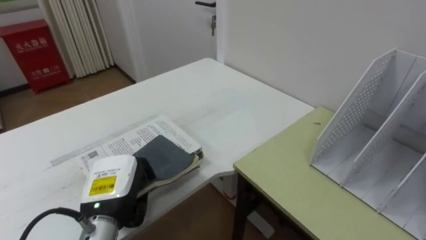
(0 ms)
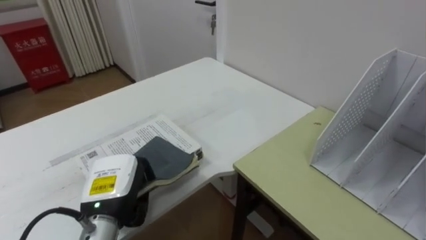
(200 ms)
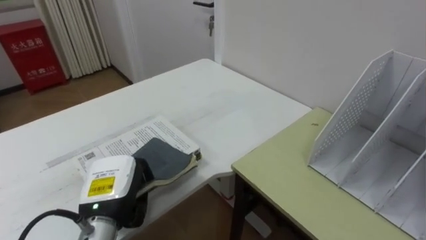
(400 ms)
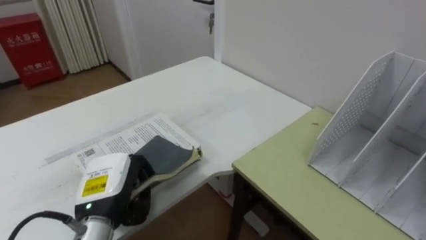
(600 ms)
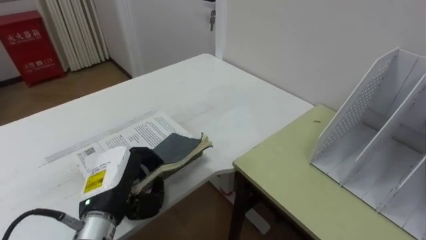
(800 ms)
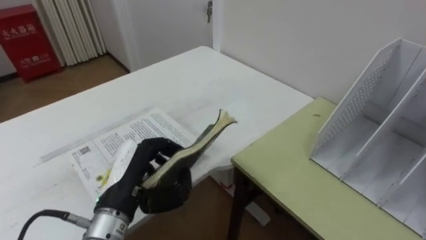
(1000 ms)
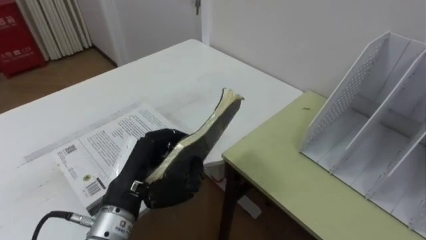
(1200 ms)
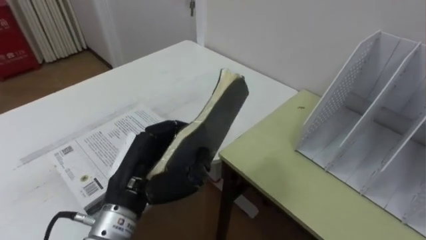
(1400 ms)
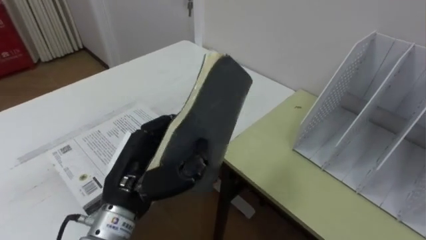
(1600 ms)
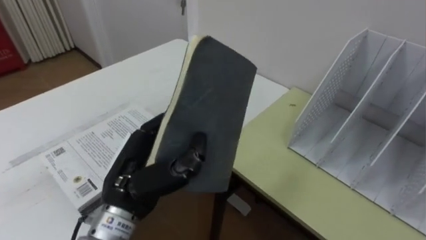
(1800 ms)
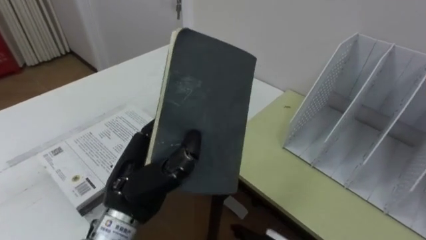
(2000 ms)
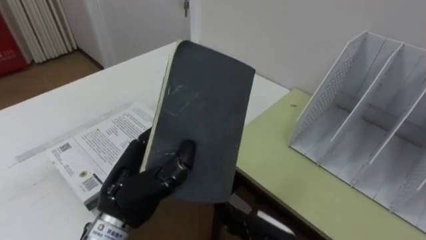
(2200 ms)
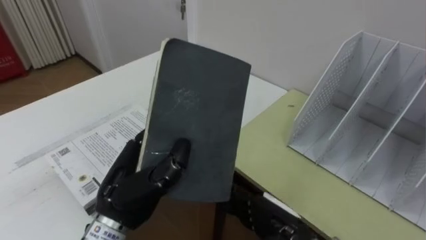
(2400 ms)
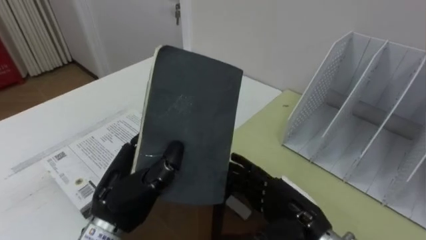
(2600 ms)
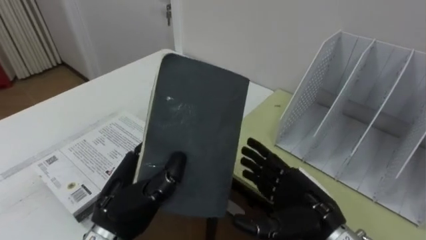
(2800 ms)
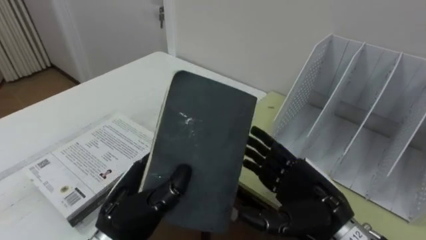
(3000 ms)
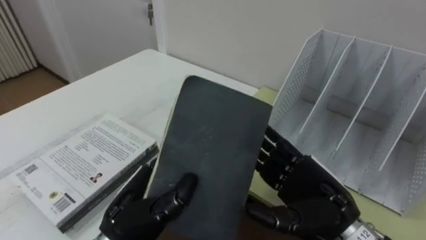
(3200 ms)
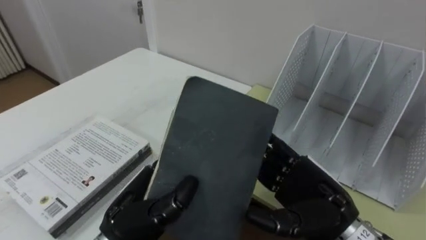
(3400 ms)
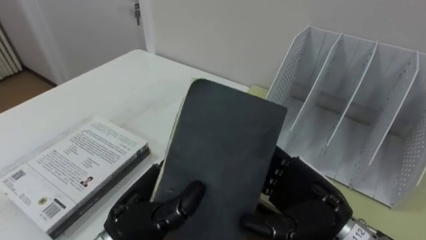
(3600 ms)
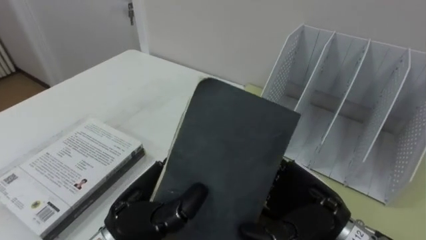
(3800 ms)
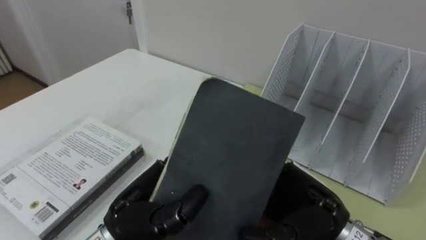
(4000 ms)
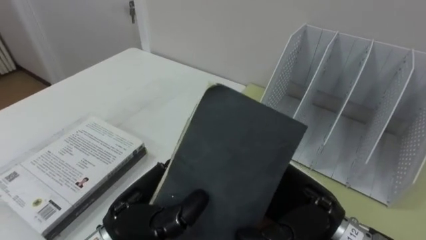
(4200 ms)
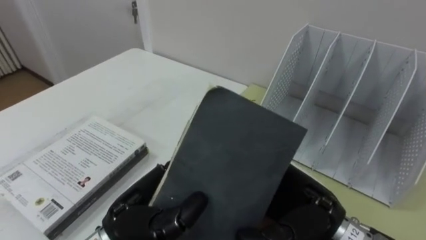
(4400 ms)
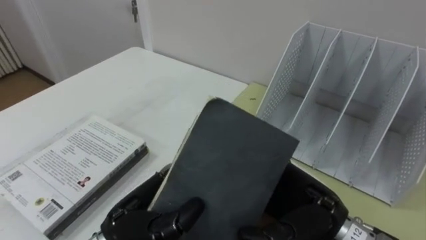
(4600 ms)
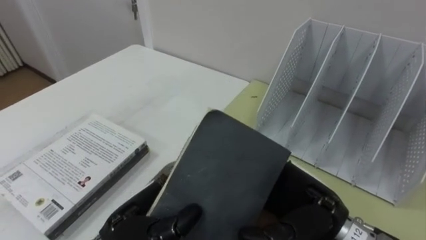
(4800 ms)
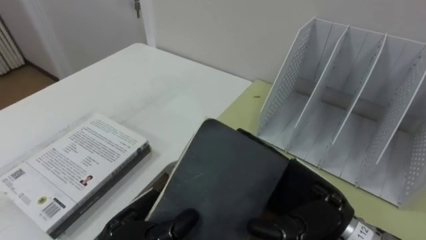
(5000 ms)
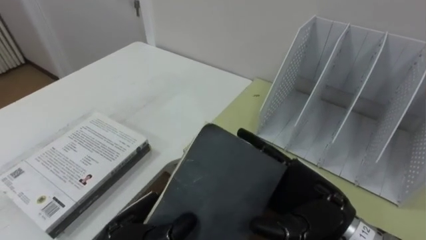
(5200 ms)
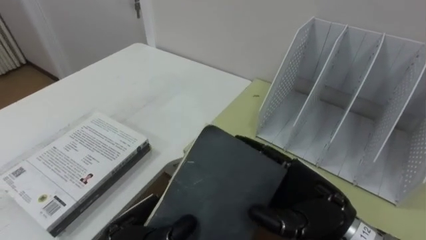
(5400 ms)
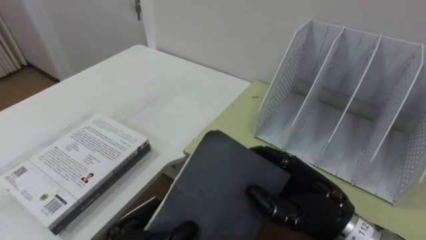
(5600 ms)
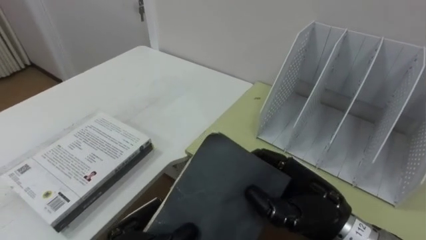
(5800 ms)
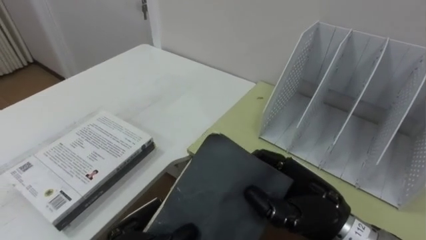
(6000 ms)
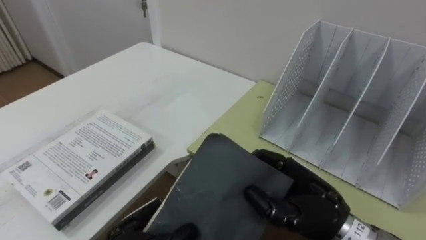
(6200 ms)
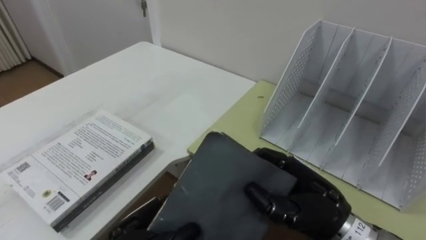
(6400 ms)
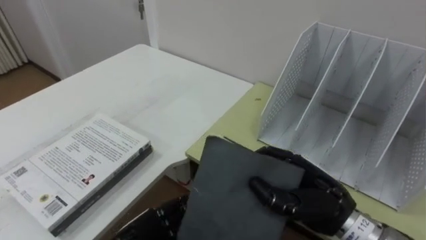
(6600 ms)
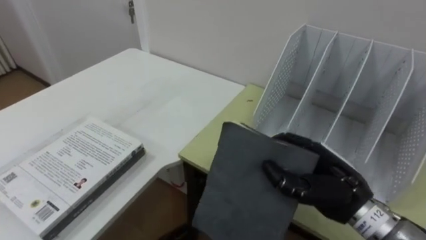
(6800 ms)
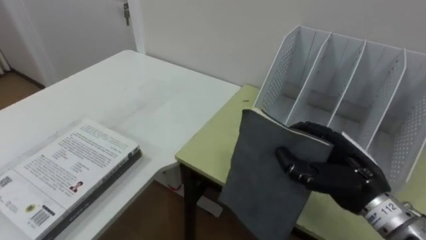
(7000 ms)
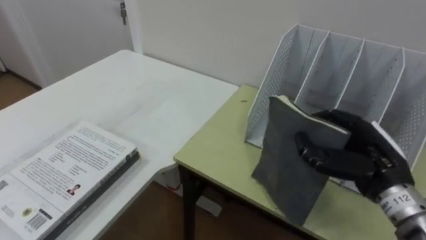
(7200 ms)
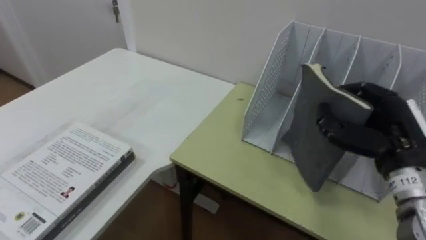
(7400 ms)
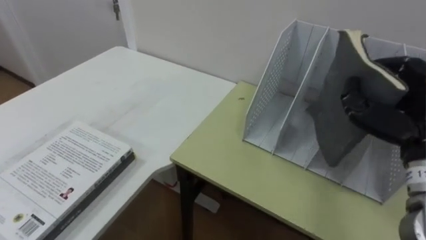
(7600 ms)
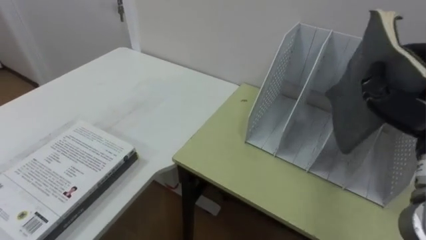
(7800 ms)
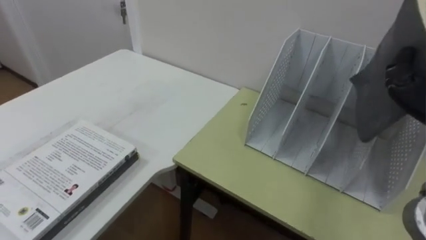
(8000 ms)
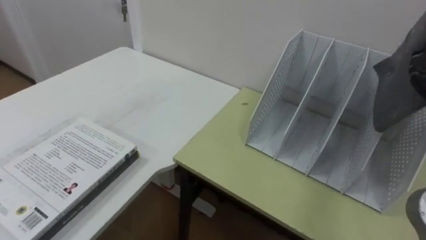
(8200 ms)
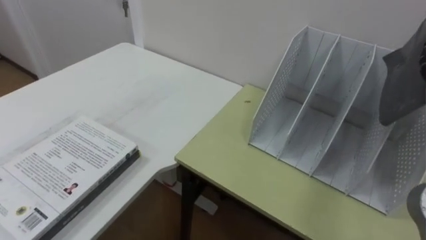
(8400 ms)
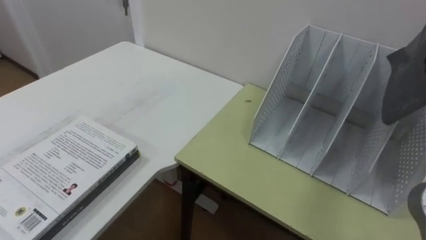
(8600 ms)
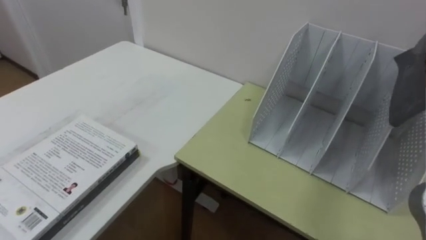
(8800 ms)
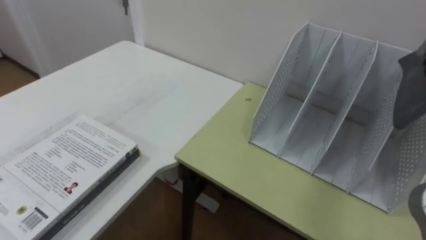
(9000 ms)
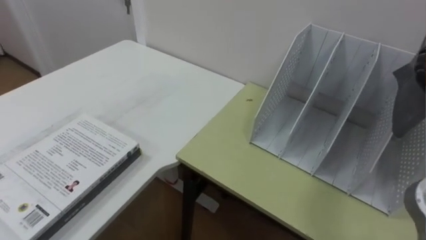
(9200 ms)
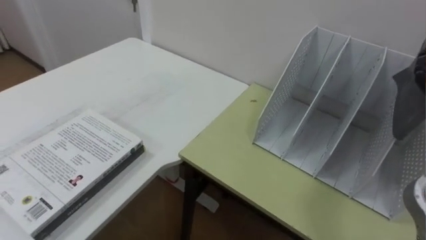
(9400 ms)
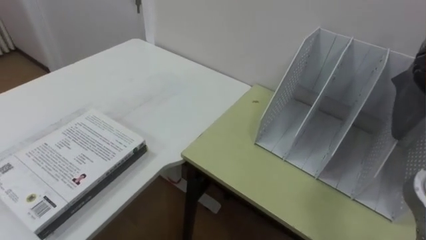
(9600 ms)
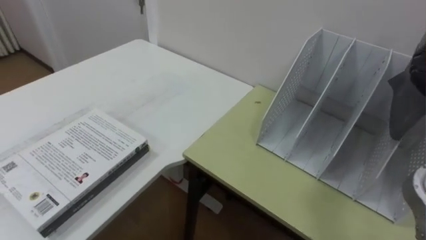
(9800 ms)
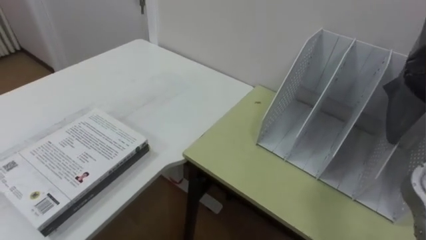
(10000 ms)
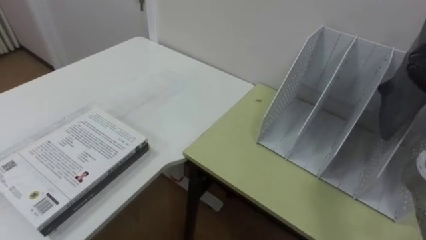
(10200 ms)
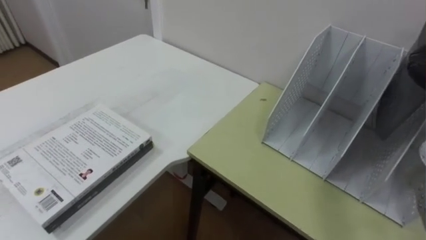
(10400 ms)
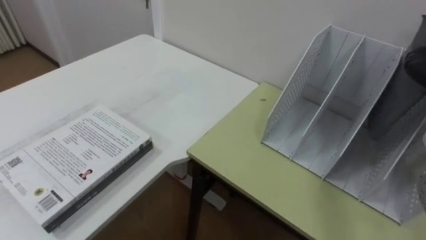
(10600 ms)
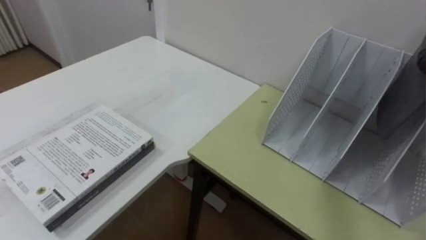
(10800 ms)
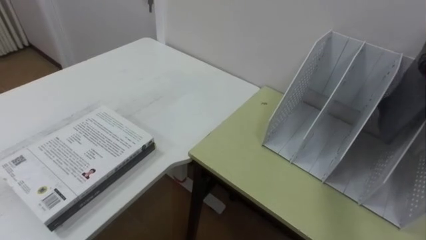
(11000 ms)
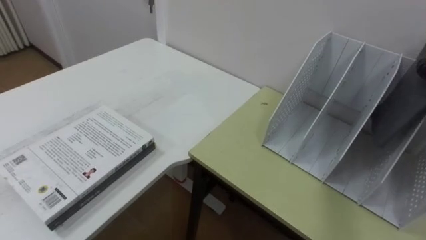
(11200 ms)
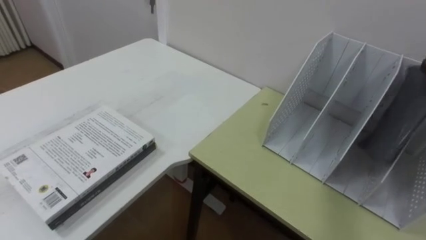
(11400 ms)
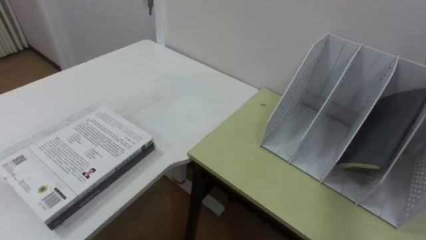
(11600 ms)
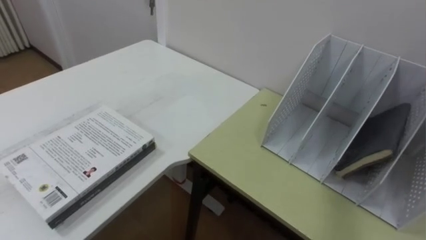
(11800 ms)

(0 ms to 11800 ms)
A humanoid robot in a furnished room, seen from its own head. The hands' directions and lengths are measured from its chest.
Task of the whole recording: Put the books on the table onto the bookshelf.
0 ms - 1400 ms: The left hand travels upward by about 5 cm.
4400 ms - 6000 ms: The right hand closes up; the left hand shifts some 5 cm downward.
6000 ms - 7400 ms: The right hand is displaced to the right, forward and upward by about 15 cm.

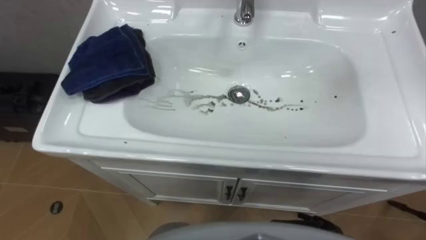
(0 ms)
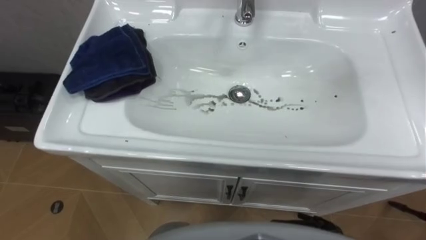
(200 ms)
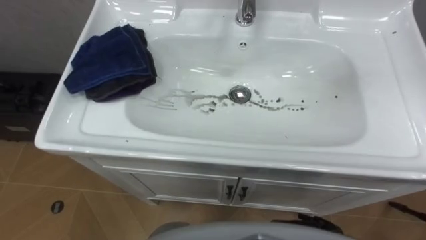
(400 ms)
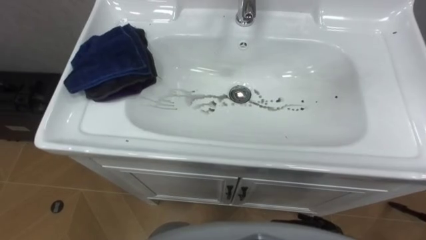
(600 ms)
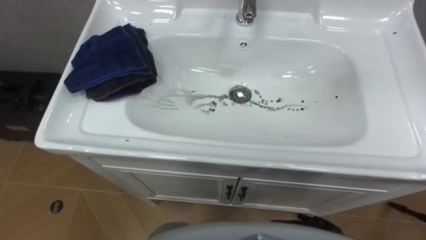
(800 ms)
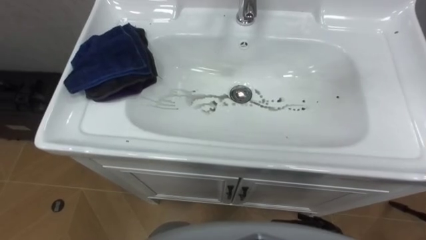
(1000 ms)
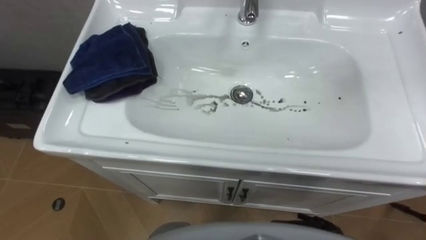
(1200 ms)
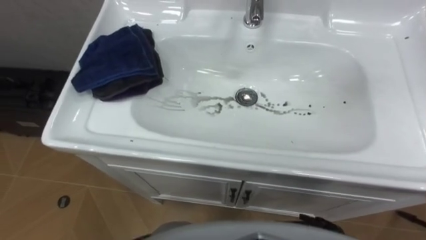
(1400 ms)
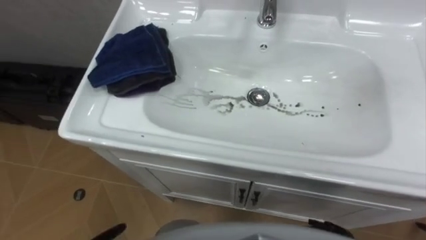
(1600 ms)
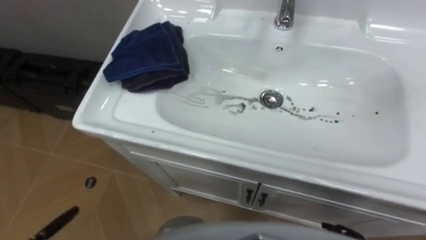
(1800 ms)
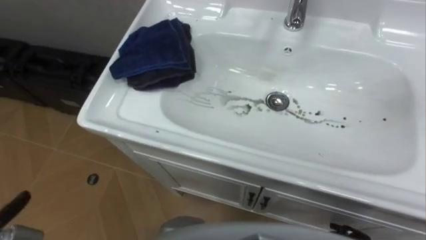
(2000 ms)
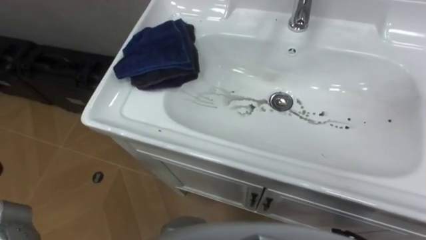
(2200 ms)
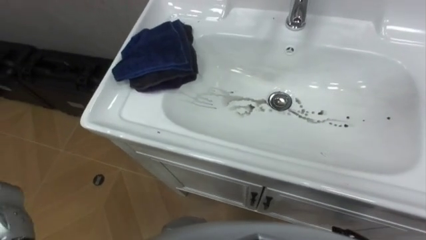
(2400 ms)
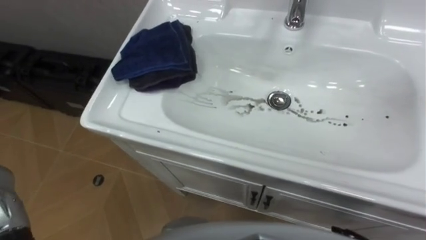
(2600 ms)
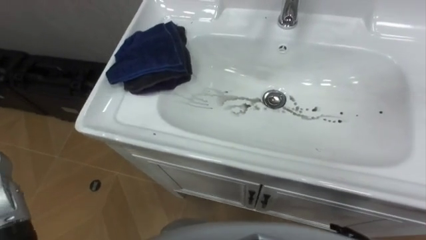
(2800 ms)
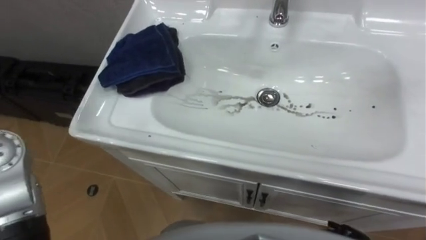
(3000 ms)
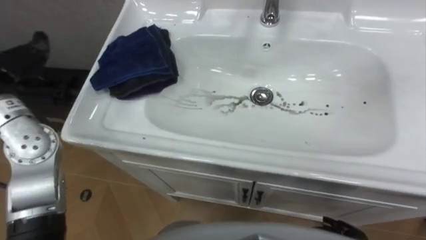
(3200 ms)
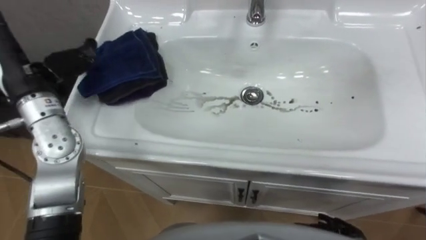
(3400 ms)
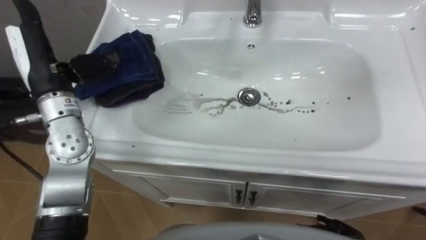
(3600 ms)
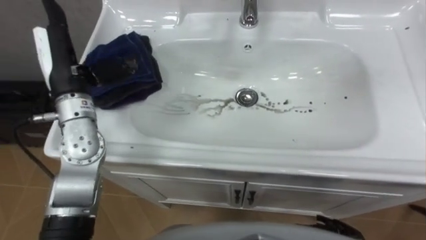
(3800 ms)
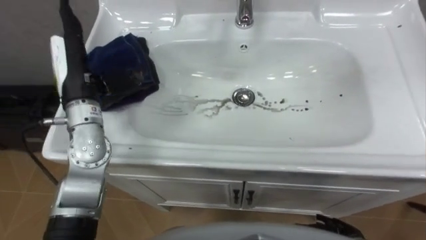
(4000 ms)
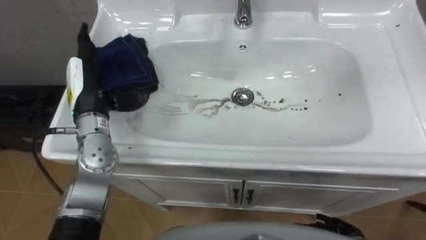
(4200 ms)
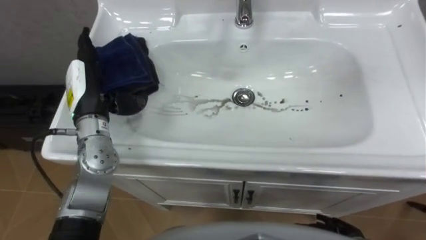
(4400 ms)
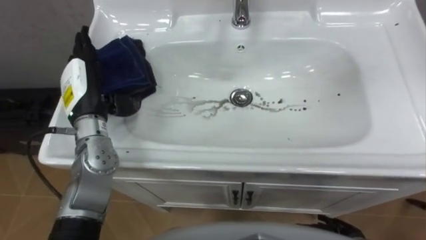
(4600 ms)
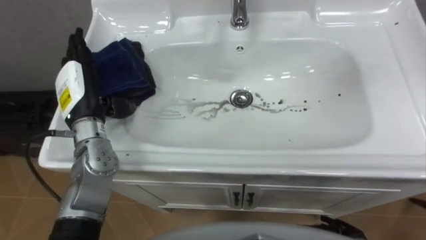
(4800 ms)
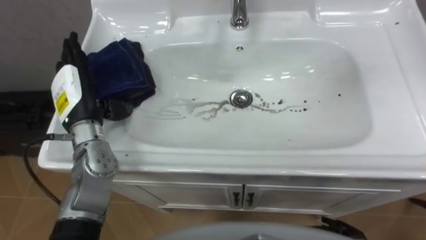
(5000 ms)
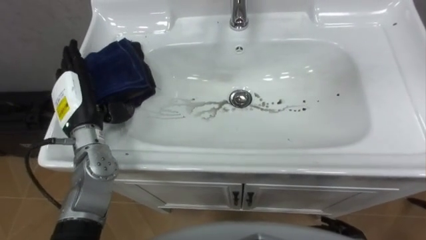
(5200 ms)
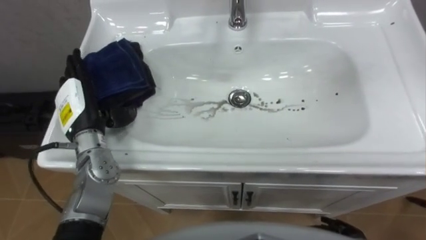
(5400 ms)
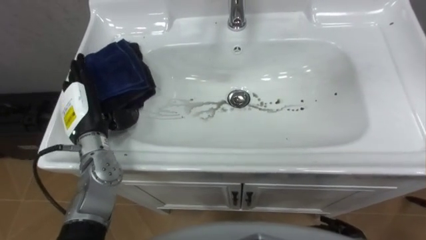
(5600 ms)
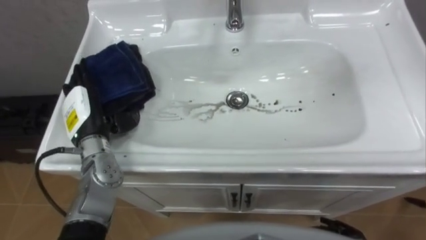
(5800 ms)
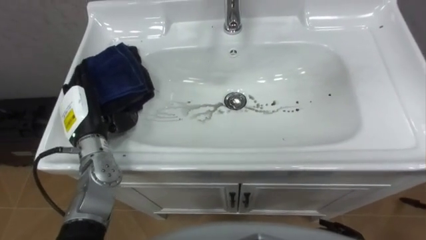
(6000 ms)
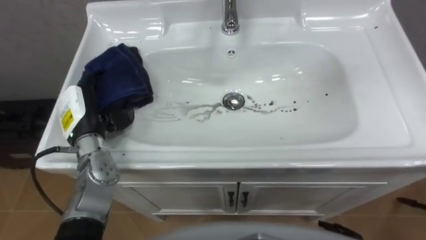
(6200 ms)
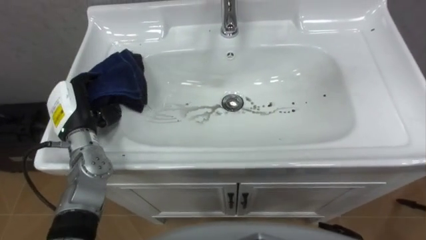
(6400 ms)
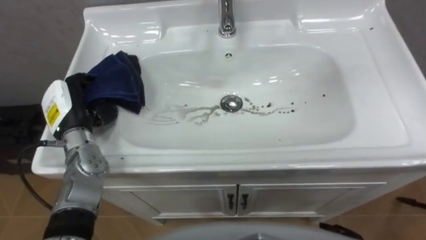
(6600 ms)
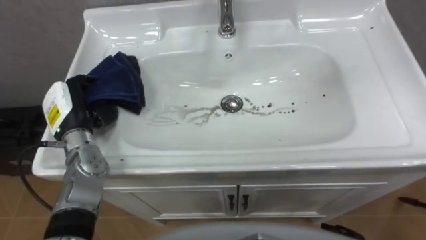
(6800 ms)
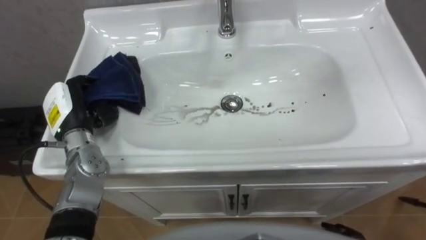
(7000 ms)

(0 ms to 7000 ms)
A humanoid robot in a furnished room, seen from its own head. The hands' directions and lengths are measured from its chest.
Task of the whole recording: Use the cloth on the right to wipe away the black stain in the sink.
4200 ms - 5600 ms: The left hand changes place by roughly 5 cm.
5600 ms - 7000 ms: The left hand closes up.
